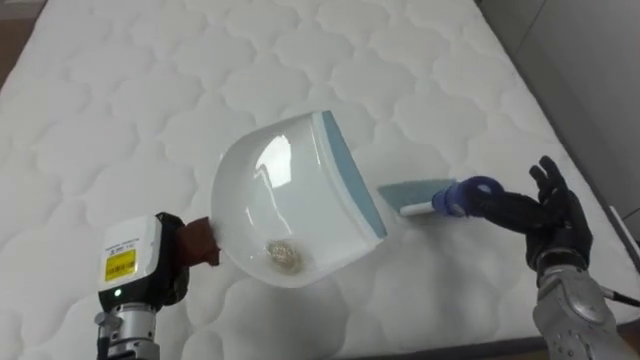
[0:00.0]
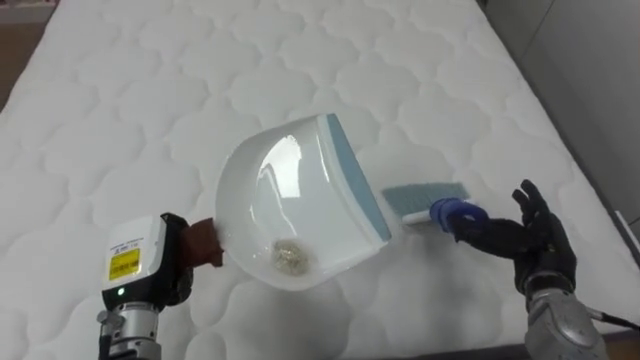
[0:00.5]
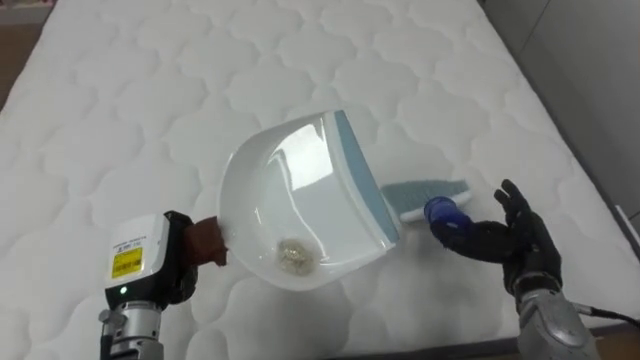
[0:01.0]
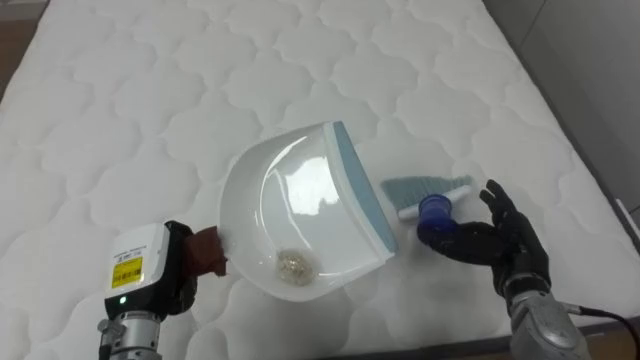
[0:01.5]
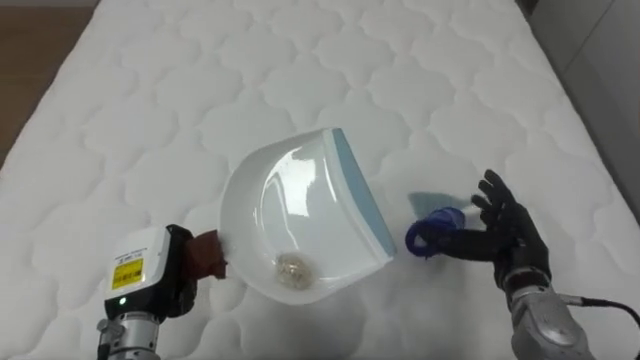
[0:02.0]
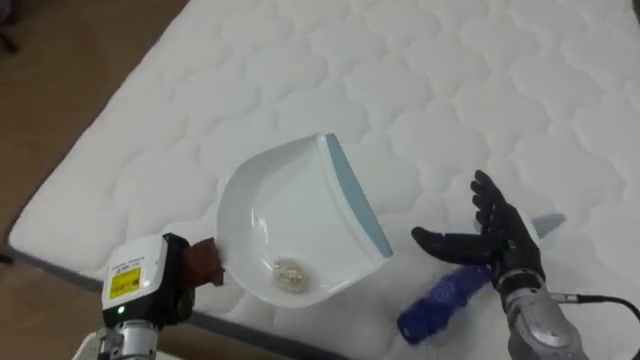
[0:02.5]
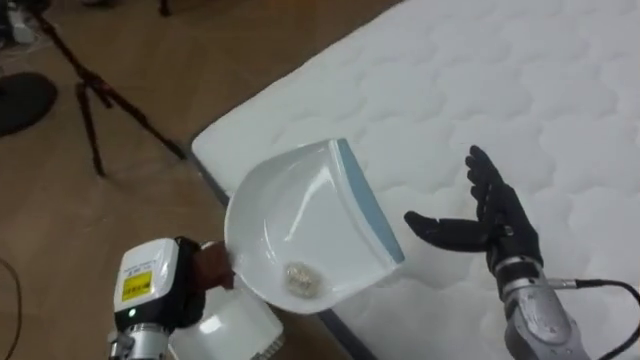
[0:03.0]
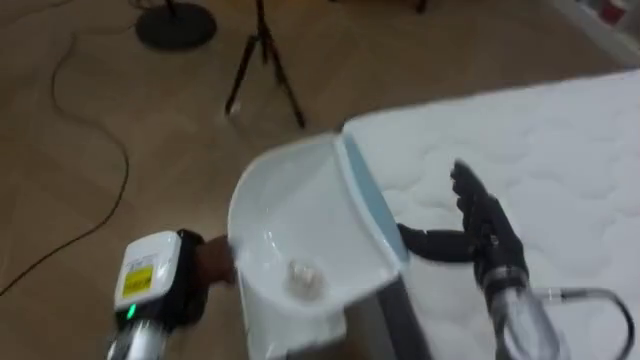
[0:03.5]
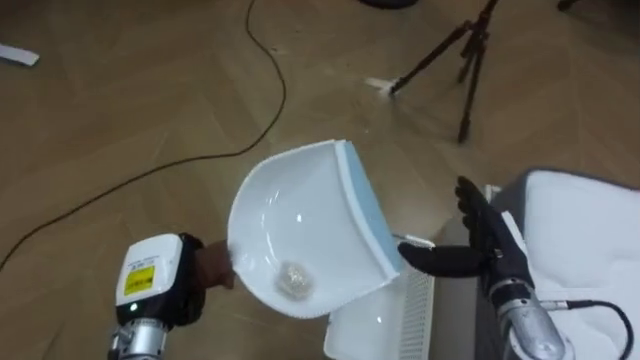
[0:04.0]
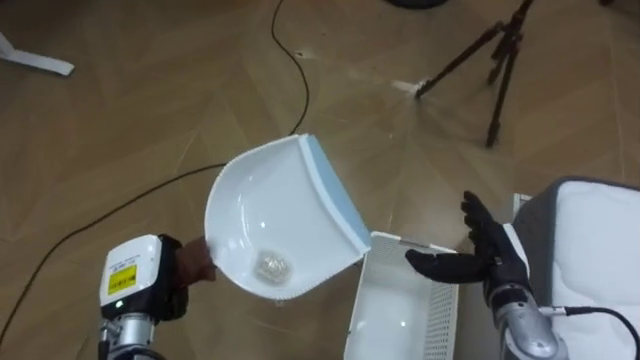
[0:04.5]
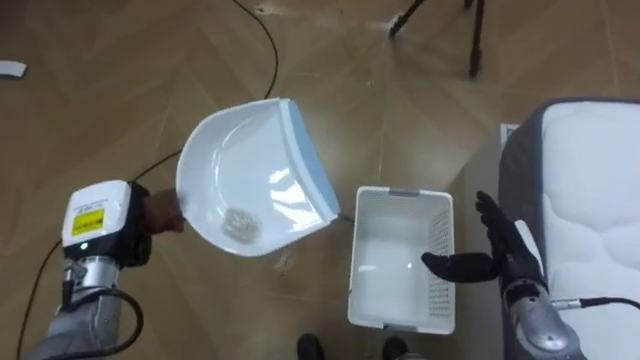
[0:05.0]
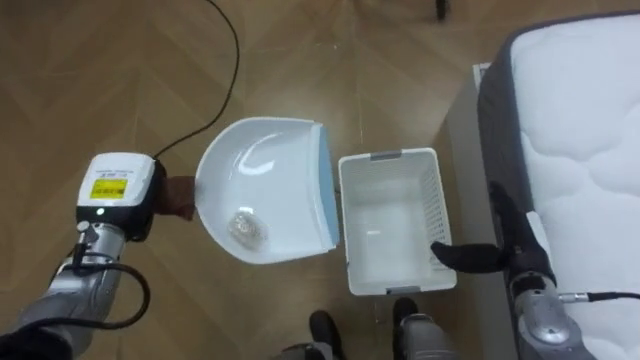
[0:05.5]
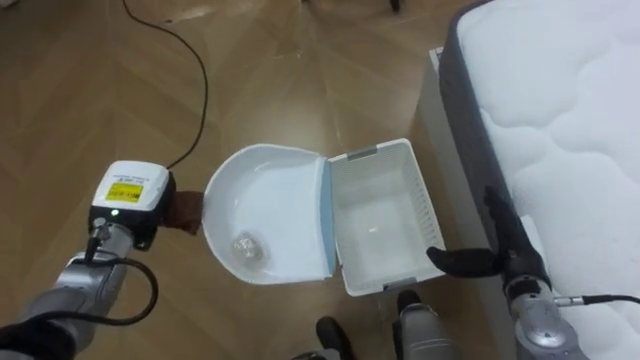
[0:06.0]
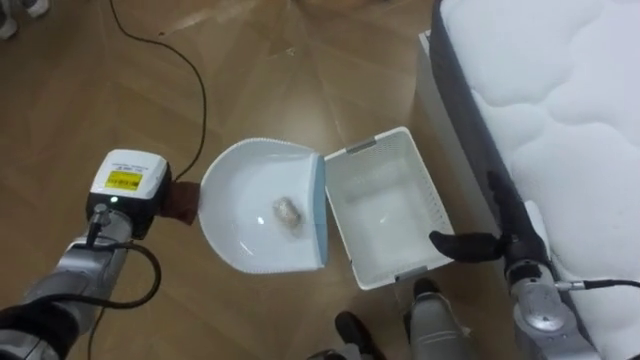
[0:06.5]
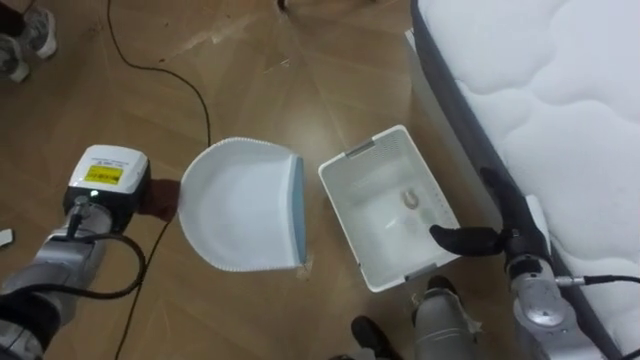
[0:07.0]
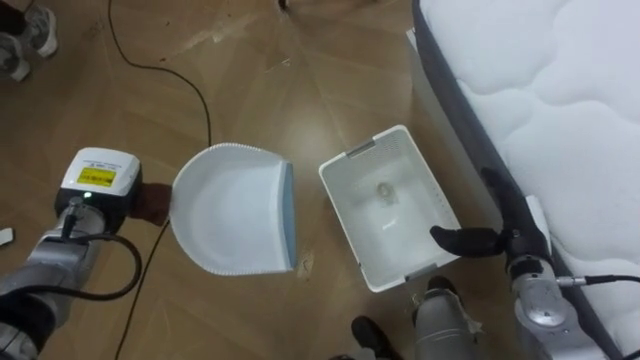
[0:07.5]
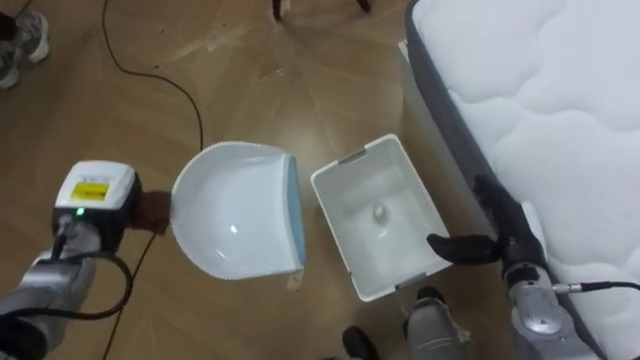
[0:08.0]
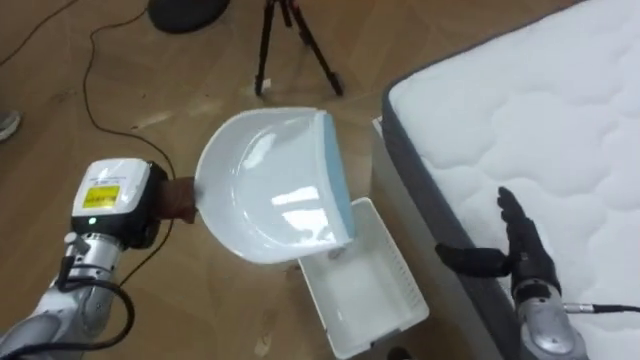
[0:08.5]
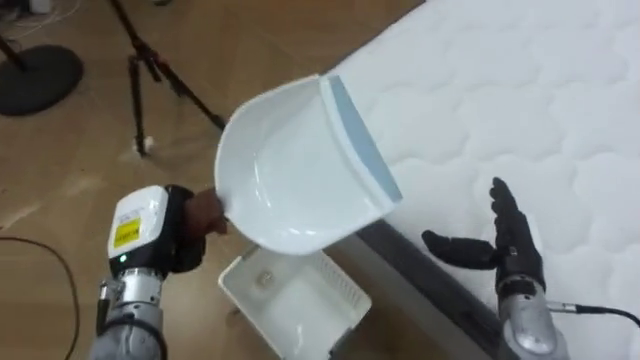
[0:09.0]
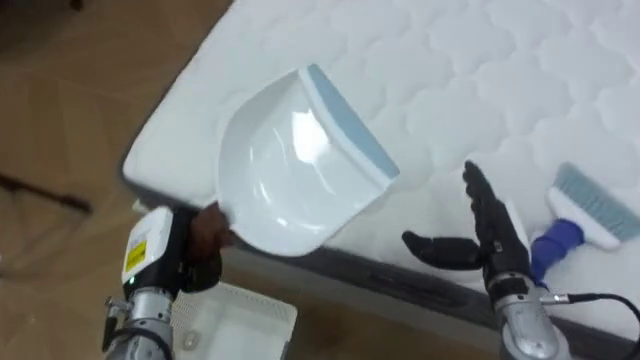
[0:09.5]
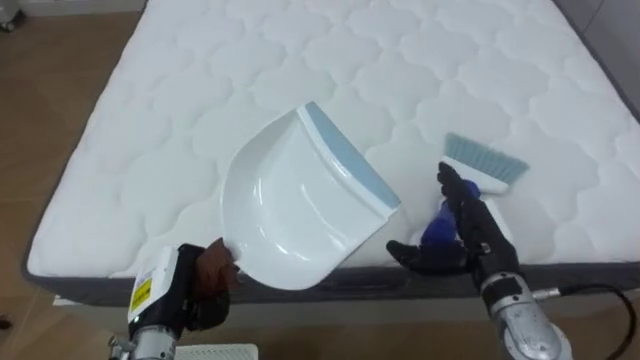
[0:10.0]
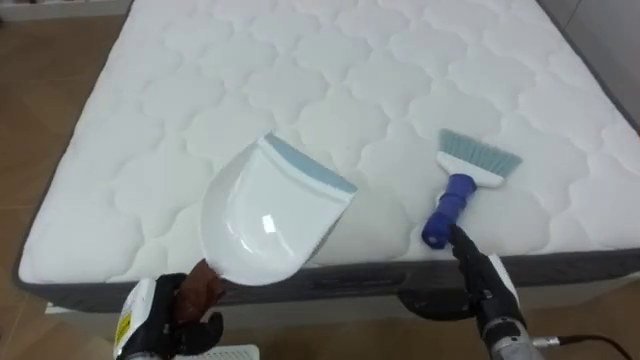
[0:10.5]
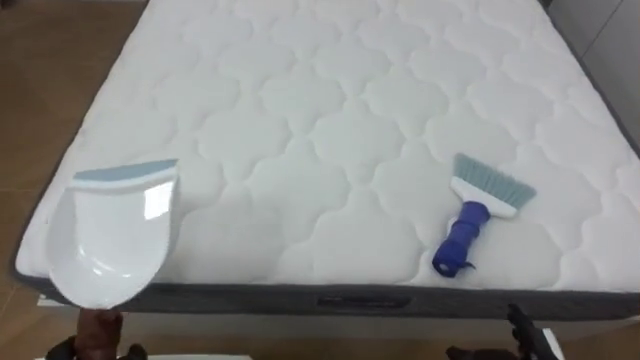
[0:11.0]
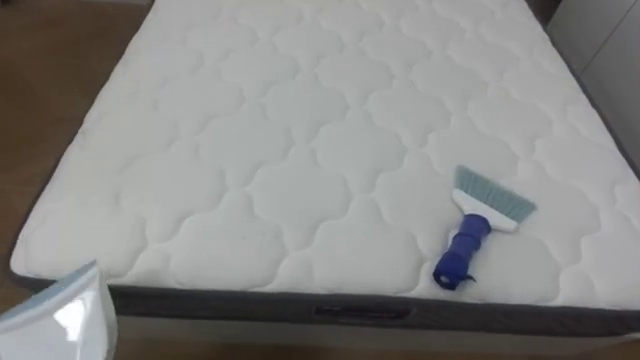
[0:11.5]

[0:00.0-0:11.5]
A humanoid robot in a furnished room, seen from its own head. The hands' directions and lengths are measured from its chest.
Task of the whole recording: Pick up the brush on your right and the dustpan on your left. Use the brush to sweep the crumpled paper on the bed into the dustpan, then turn left and empty it into the basket.
0:00.0 to 0:02.0: The right hand moves roughly 5 cm.
0:02.0 to 0:04.0: The robot faces approximately 100 degrees further to its left.
0:04.0 to 0:06.0: The left hand goes about 10 cm forward.
0:07.5 to 0:09.5: The robot rotates some 70 degrees to its right. The left hand heads to the right and backward, covering roughly 10 cm.
0:09.5 to 0:11.5: The robot turns to its right by approximately 20 degrees.

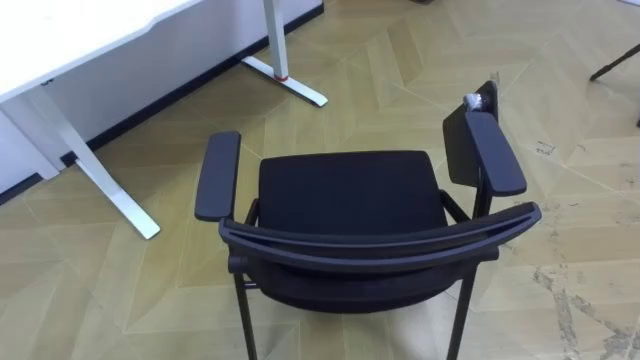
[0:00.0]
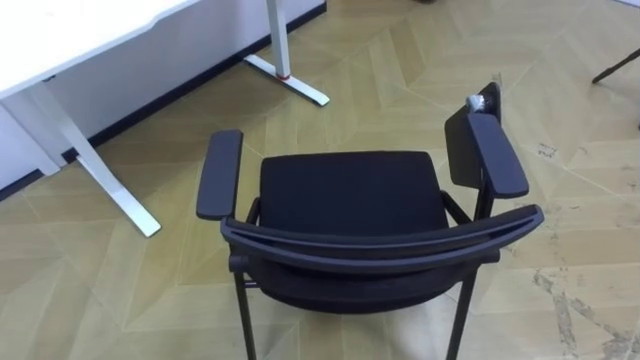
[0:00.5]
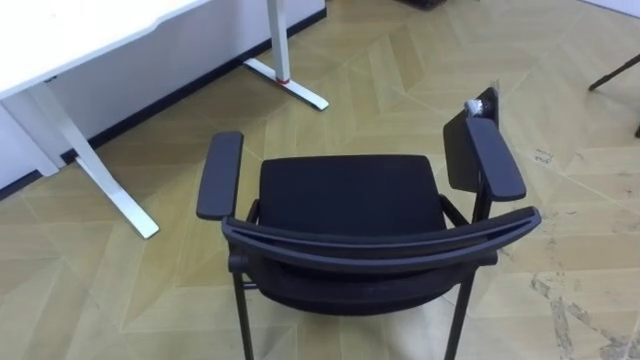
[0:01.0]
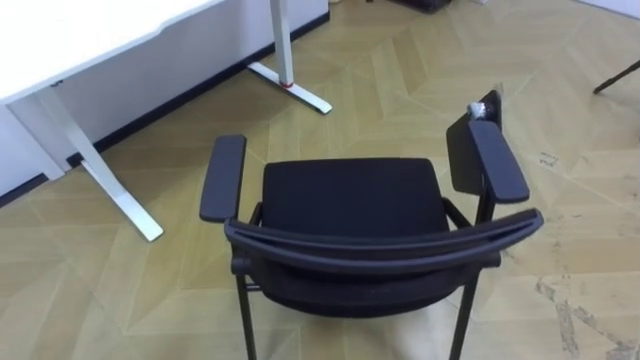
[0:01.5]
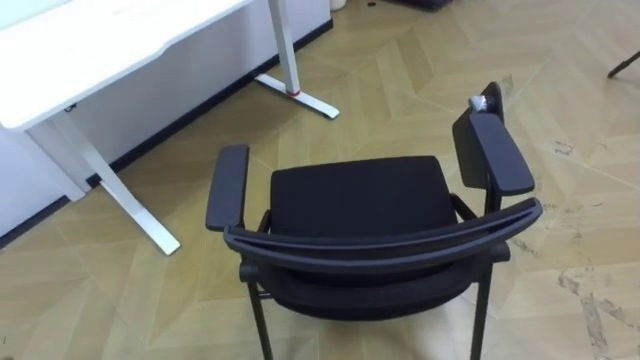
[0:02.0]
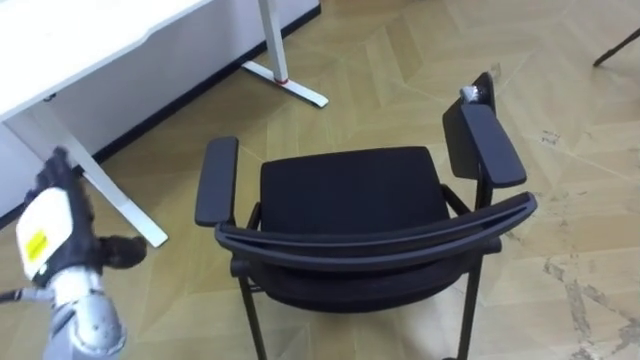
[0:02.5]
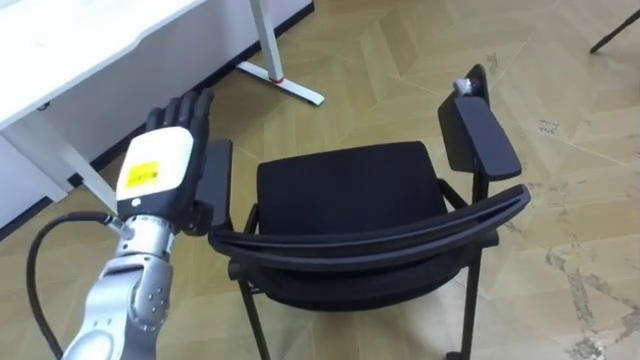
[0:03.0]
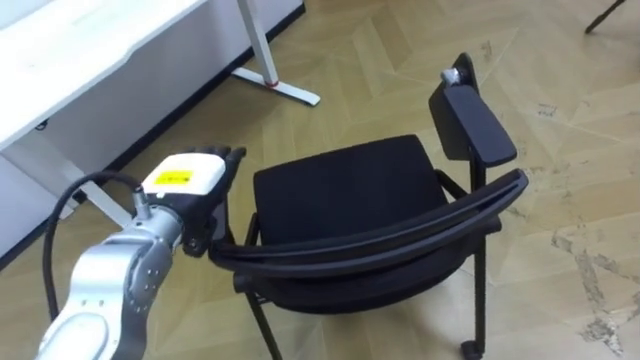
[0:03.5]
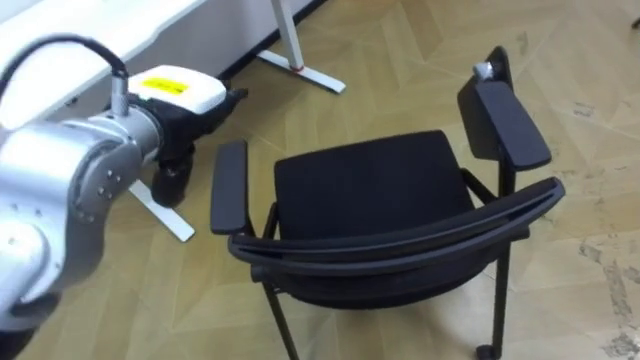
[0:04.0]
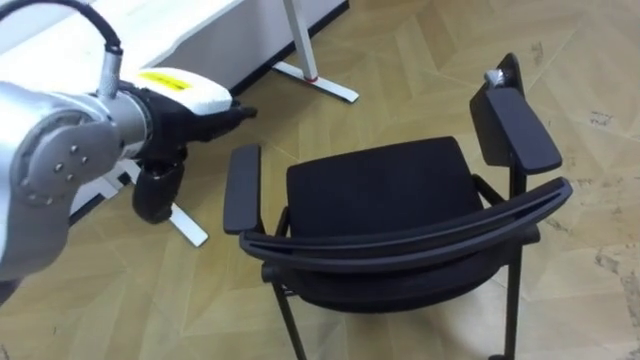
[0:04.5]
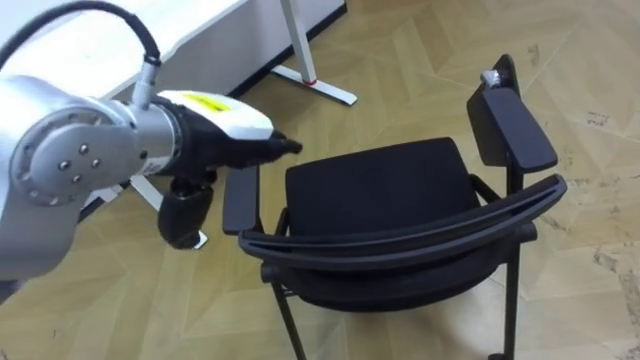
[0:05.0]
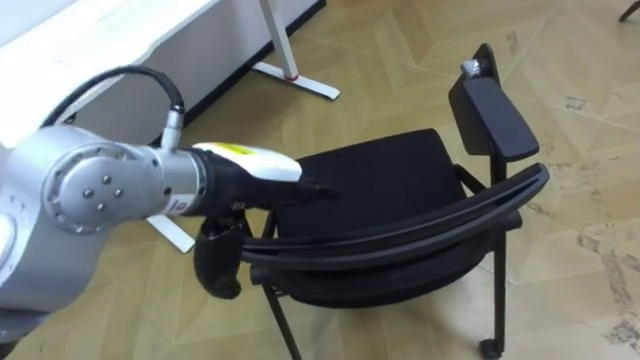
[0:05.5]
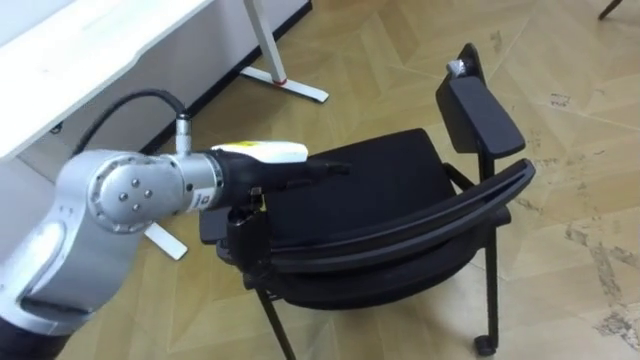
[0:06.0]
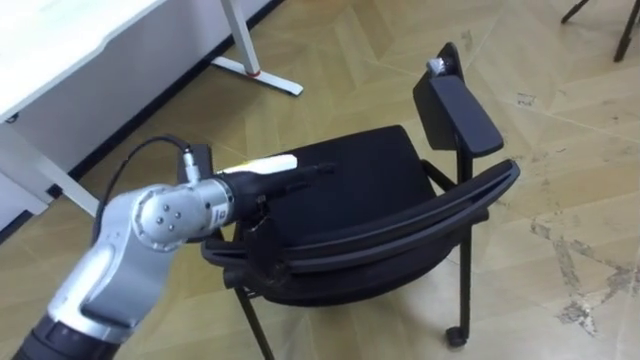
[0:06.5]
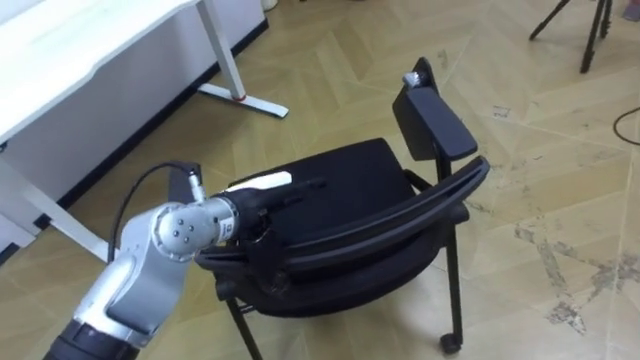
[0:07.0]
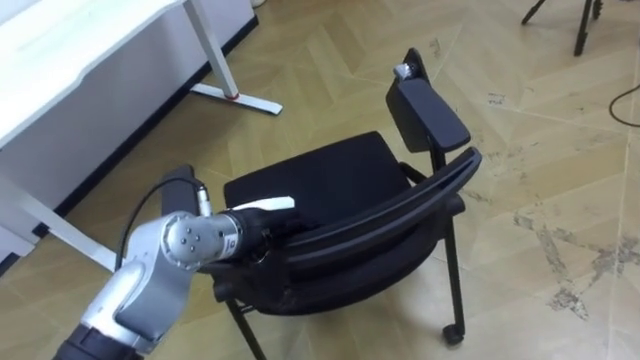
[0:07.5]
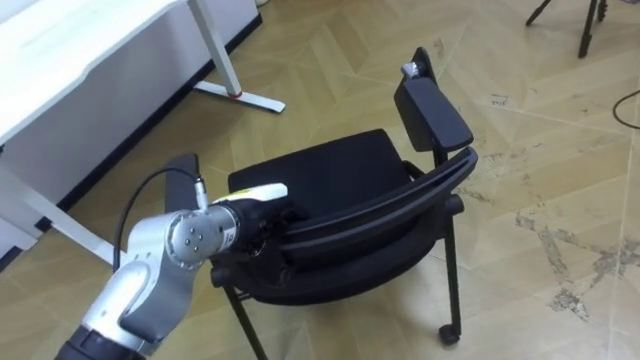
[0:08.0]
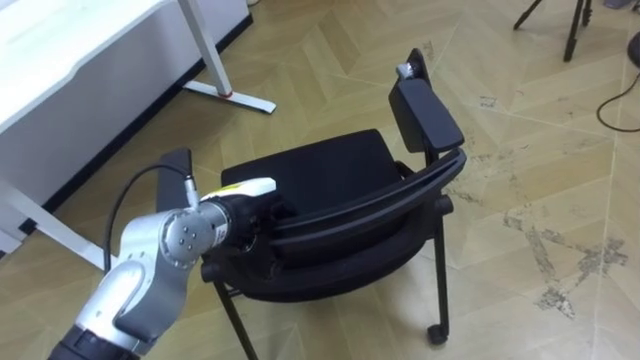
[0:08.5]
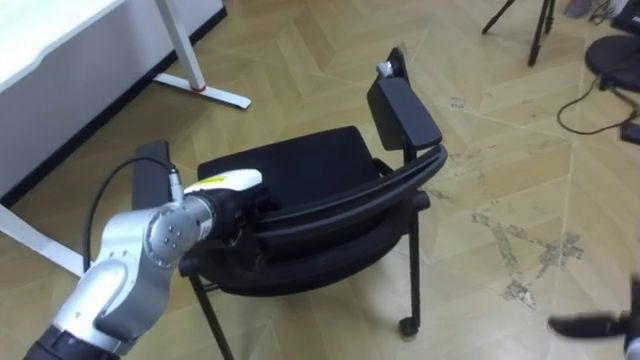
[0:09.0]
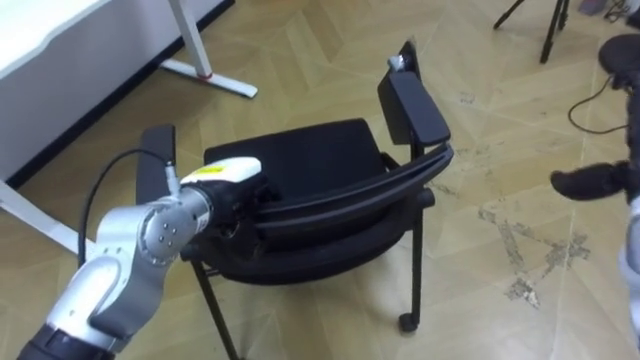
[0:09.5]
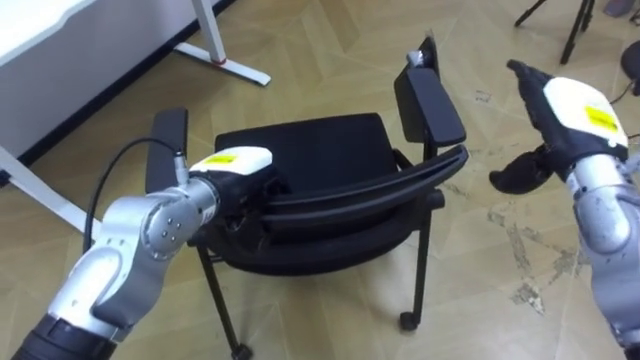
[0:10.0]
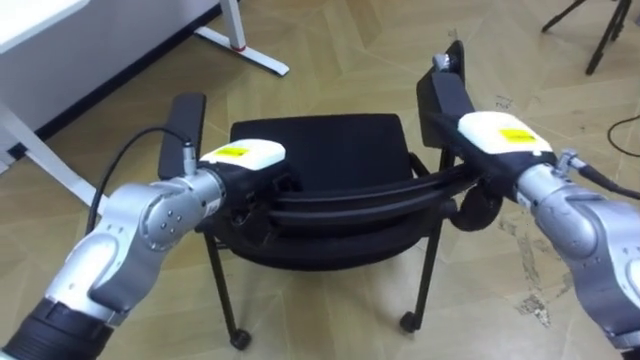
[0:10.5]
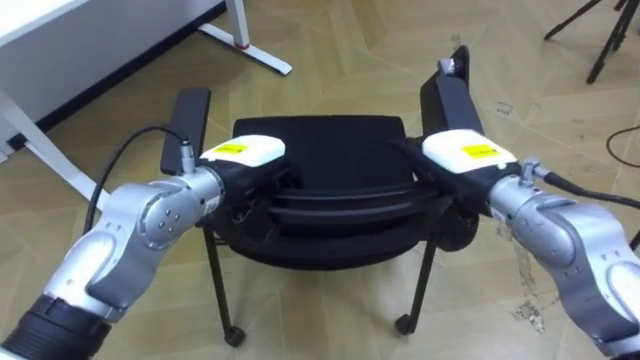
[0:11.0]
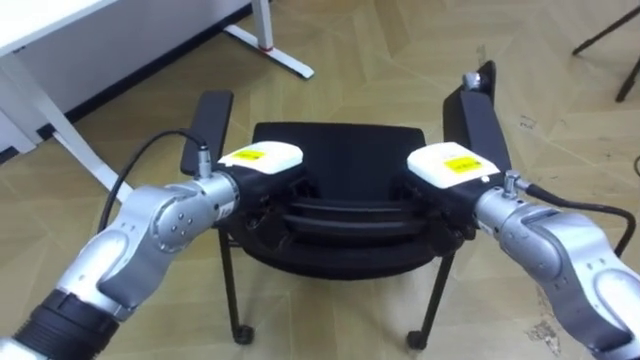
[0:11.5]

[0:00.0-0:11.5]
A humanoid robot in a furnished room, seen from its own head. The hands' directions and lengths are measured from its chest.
Task of the whole recording: Push the chair under the table.
0:04.0 to 0:06.0: The left hand goes some 10 cm to the right.
0:06.0 to 0:07.5: The left hand travels downward by about 10 cm.
0:07.5 to 0:09.5: The left hand ends up some 5 cm from where it was.
